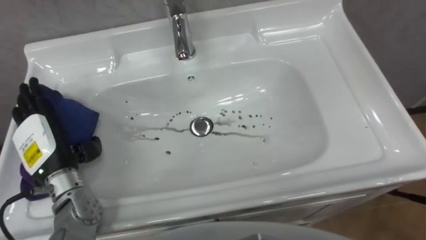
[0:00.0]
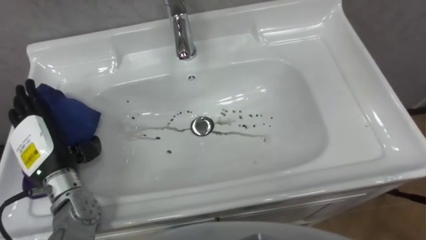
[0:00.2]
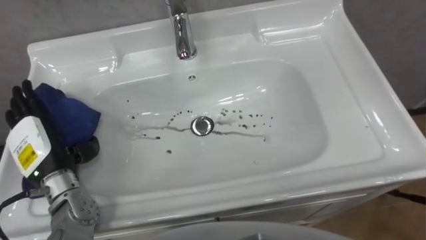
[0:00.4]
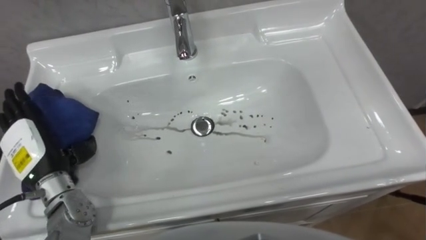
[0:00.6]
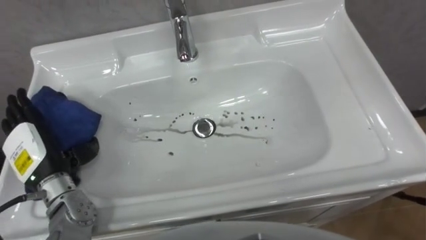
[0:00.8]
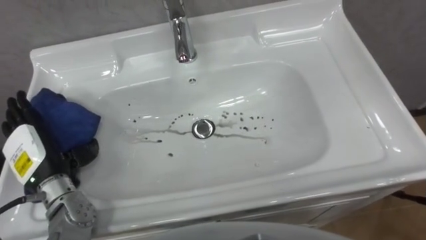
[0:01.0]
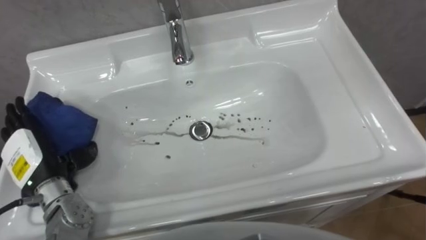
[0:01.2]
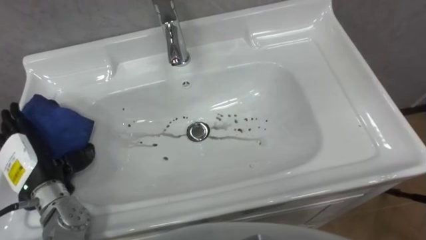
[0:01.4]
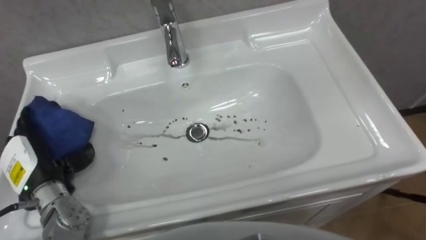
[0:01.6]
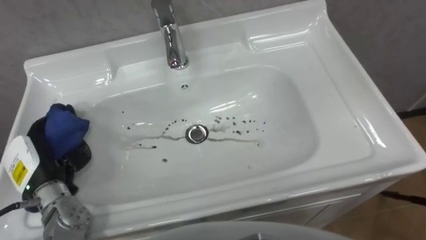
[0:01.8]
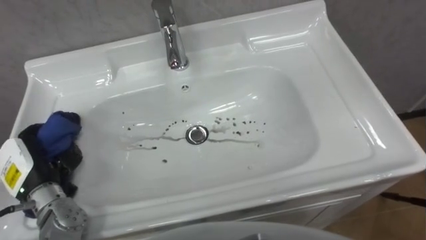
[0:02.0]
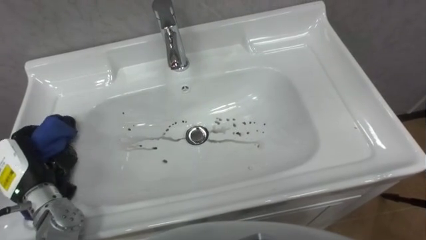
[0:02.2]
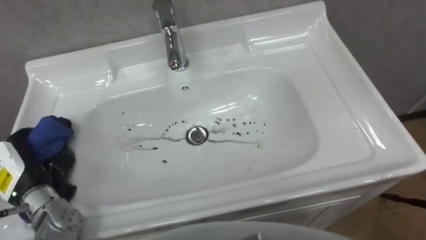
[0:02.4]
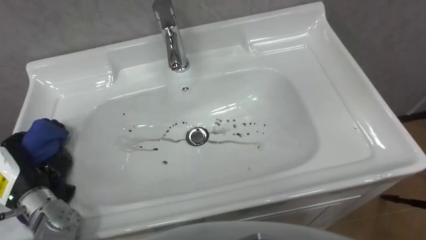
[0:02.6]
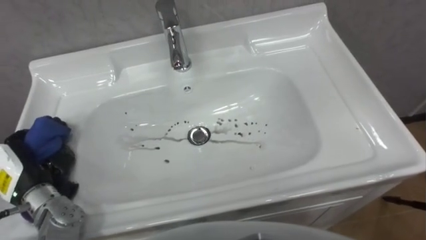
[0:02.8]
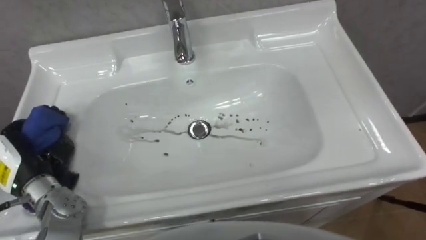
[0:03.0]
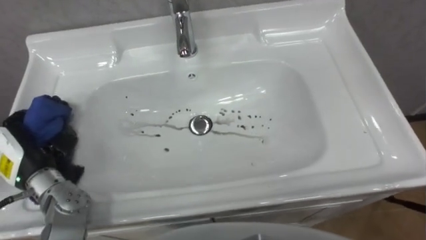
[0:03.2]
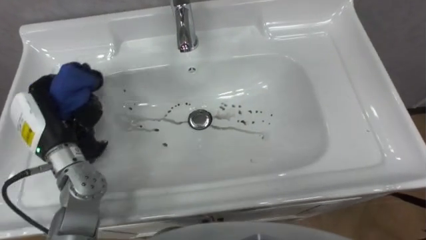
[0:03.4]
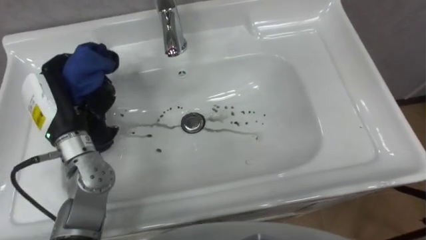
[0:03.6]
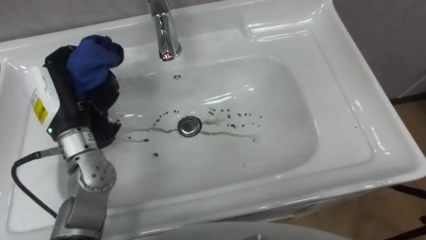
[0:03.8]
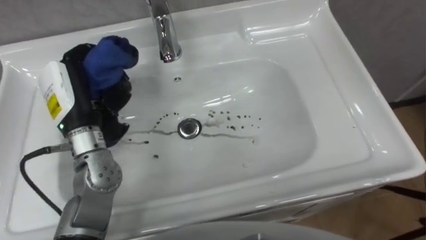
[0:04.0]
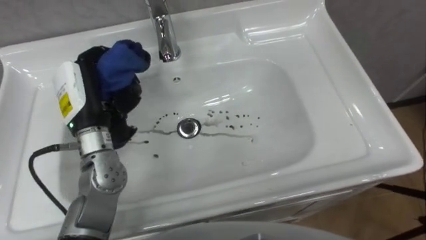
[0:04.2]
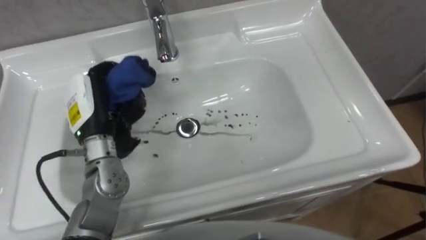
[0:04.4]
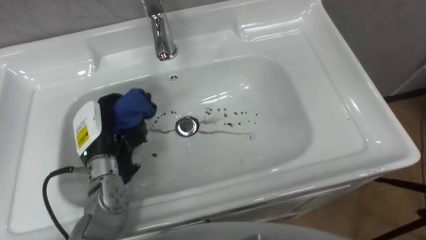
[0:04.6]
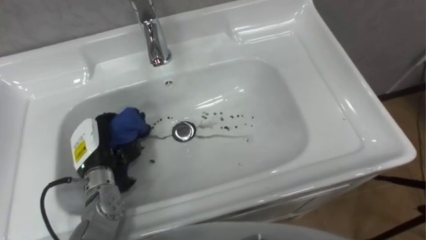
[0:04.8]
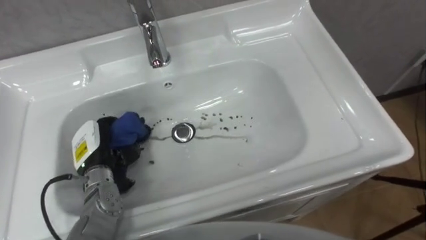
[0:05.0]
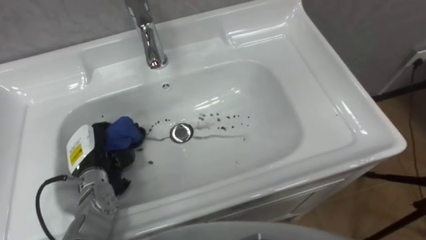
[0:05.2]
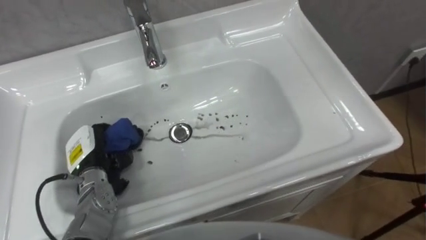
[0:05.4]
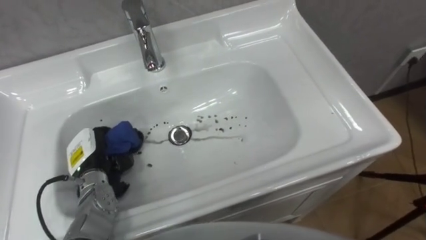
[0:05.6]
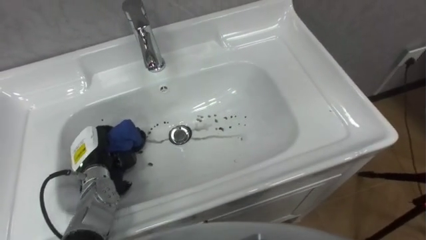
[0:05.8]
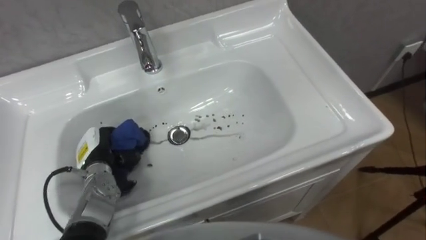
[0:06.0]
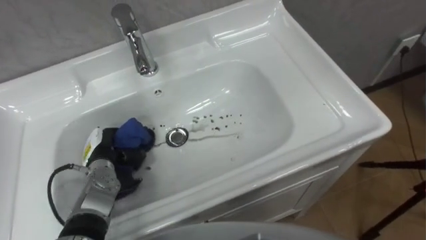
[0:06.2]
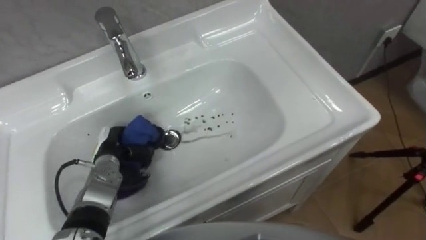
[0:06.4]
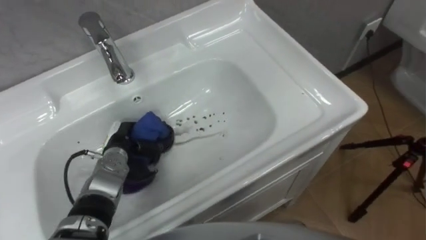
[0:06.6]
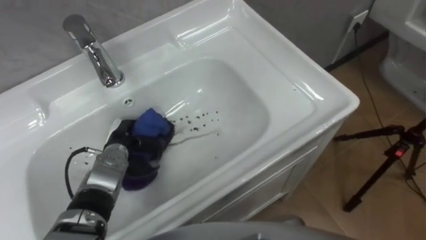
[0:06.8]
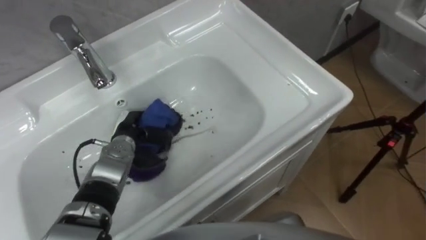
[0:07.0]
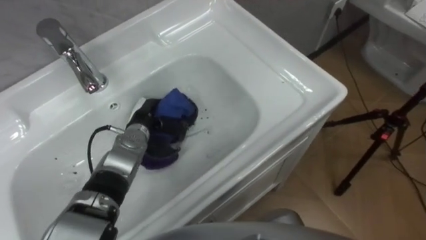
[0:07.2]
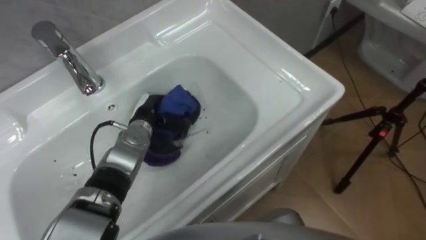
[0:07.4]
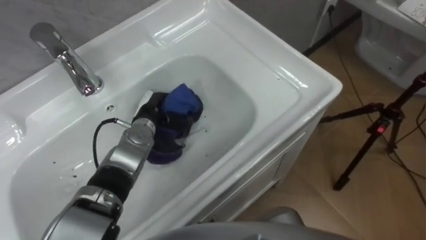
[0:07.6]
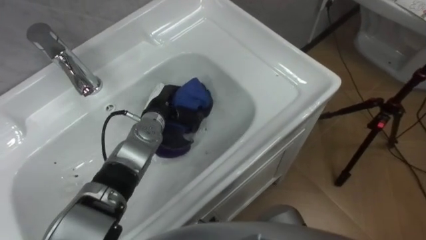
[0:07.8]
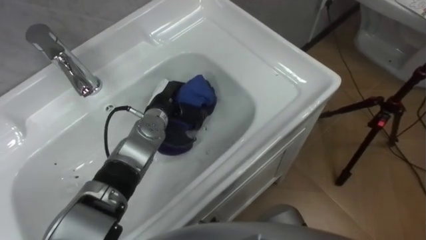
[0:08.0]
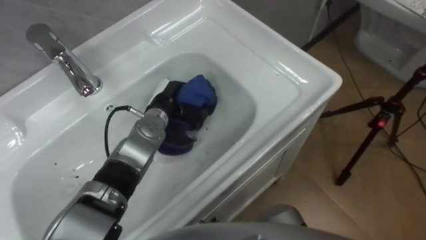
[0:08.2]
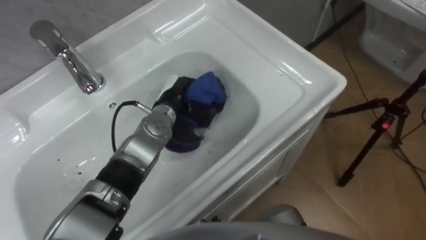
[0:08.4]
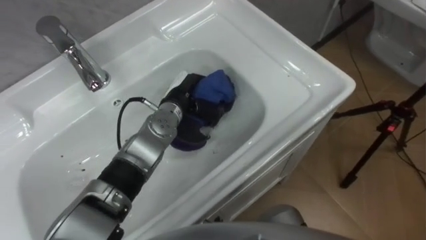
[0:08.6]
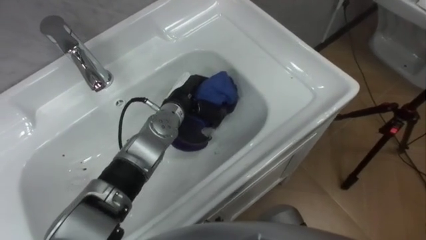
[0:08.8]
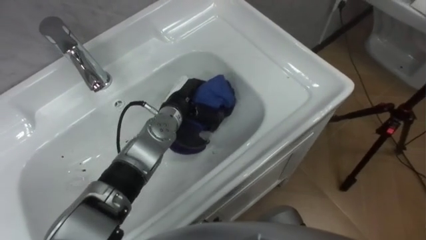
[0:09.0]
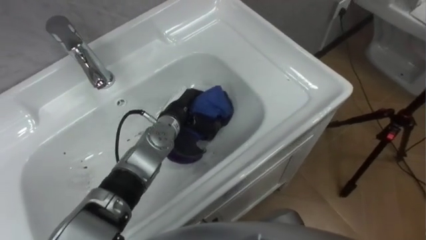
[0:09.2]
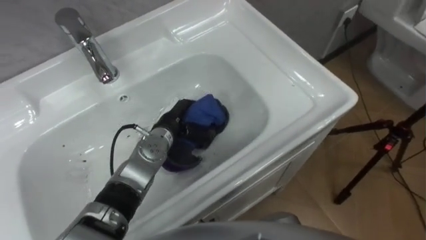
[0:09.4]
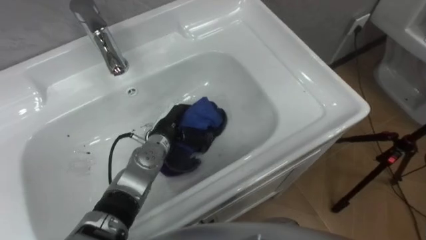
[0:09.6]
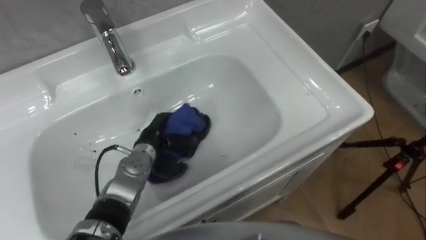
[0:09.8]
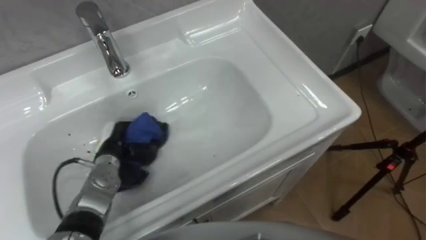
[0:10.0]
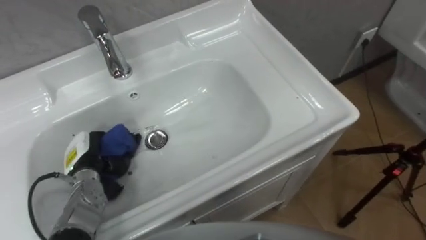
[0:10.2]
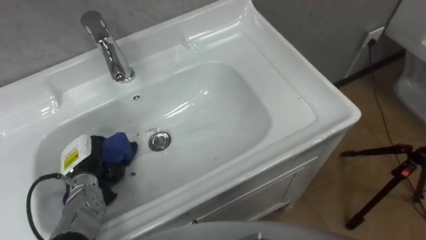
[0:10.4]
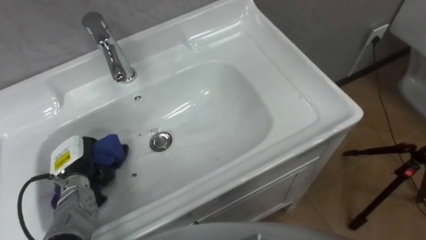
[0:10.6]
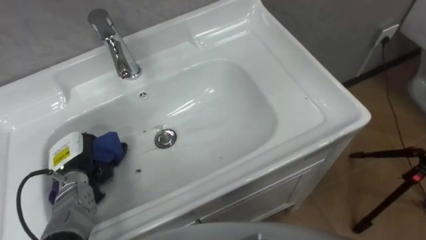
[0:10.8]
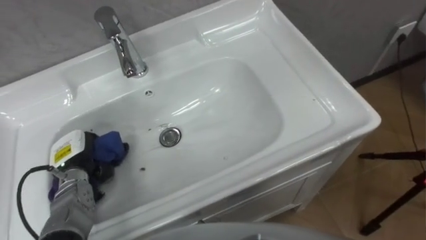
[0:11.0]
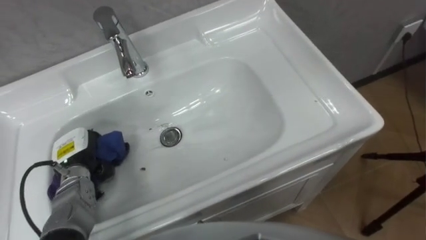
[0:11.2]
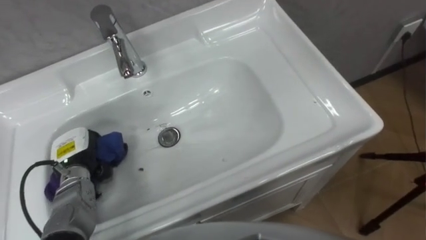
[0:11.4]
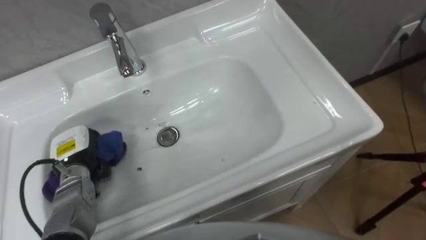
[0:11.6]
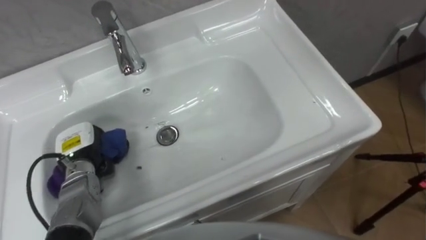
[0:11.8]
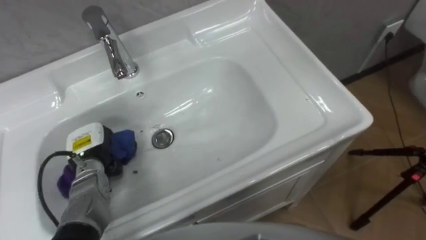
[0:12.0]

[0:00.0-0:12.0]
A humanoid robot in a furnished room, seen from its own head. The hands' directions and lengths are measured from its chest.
Task of the whole recording: Use the cloth on the right to wipe away the black stain in the sink.
0:00.0 to 0:01.6: The left hand moves roughly 5 cm.
0:01.6 to 0:03.0: The left hand closes.
0:03.0 to 0:04.4: The left hand goes roughly 15 cm to the right, forward and upward.
0:04.4 to 0:06.0: The left hand shifts approximately 15 cm downward.
0:06.0 to 0:07.6: The left hand goes roughly 15 cm to the right and forward.
0:07.6 to 0:09.0: The left hand moves to the right, approximately 5 cm.
0:09.0 to 0:10.4: The left hand goes roughly 25 cm to the left and backward.

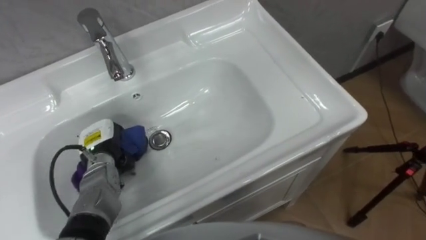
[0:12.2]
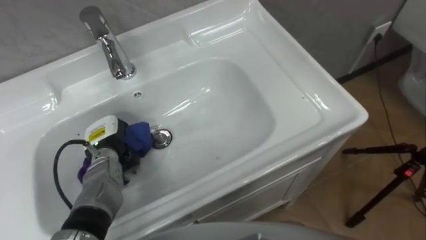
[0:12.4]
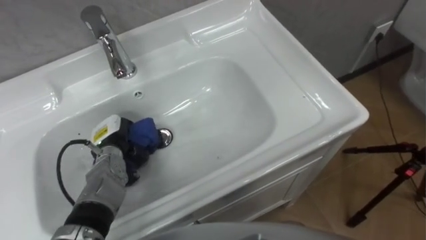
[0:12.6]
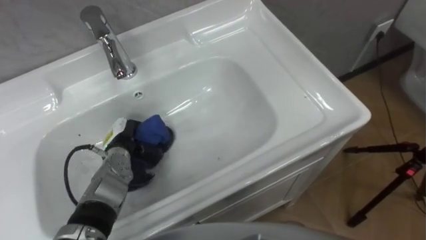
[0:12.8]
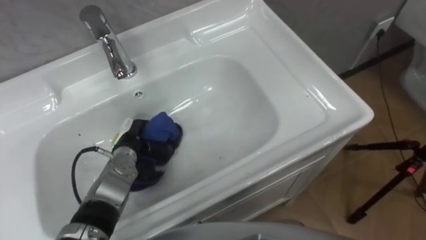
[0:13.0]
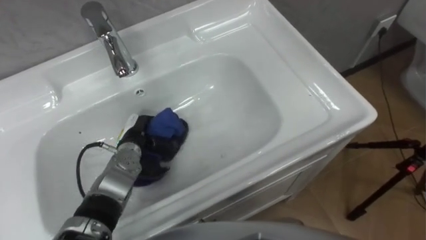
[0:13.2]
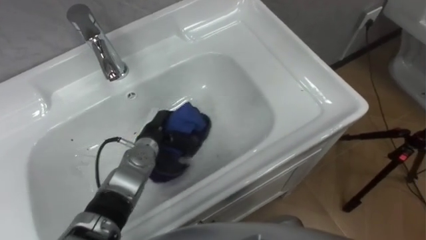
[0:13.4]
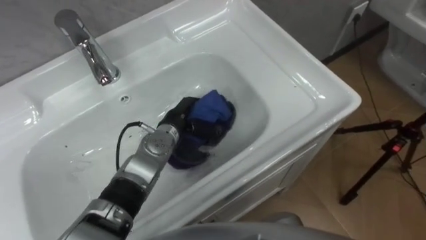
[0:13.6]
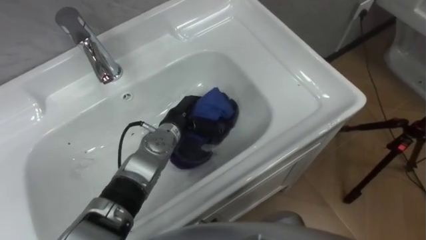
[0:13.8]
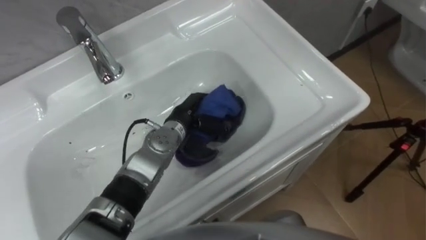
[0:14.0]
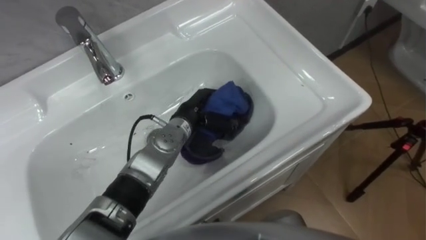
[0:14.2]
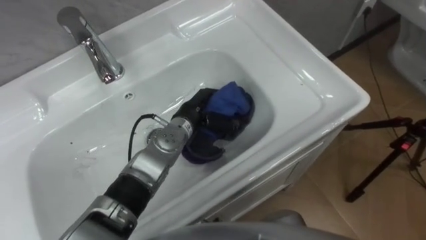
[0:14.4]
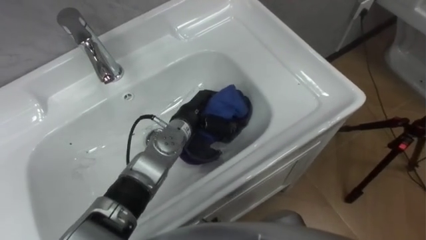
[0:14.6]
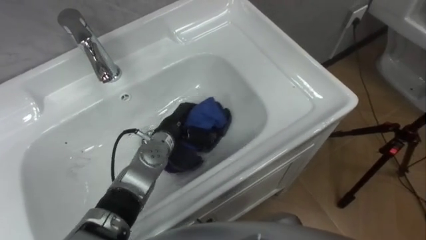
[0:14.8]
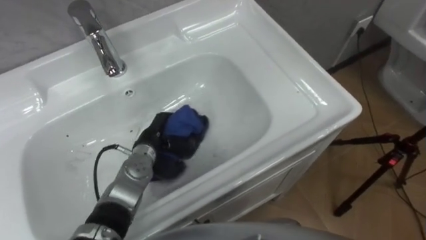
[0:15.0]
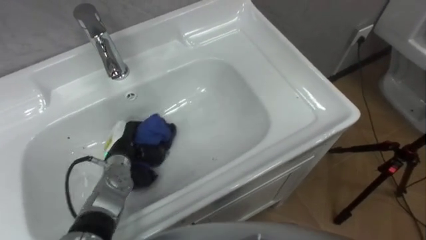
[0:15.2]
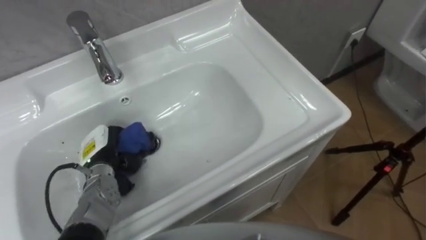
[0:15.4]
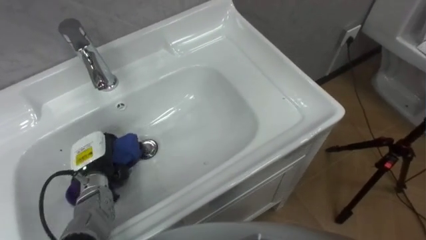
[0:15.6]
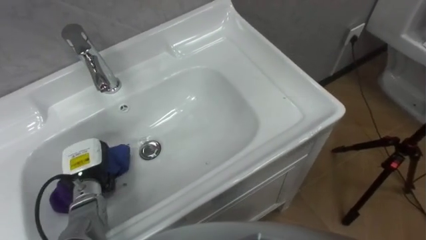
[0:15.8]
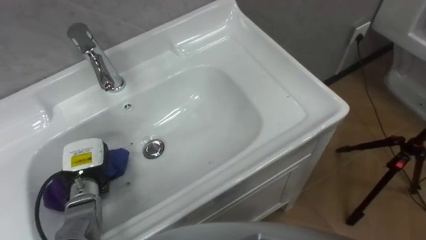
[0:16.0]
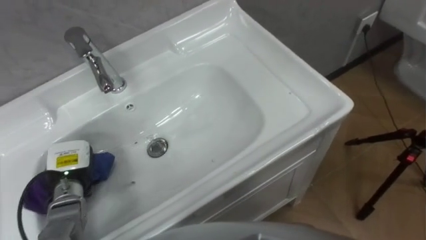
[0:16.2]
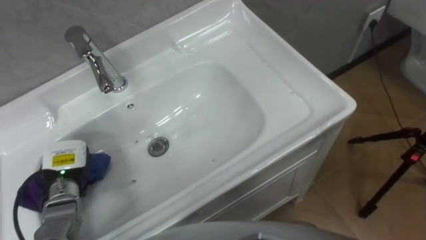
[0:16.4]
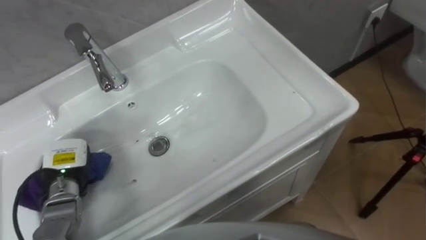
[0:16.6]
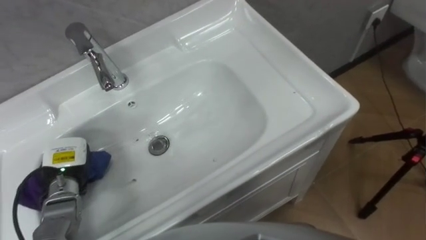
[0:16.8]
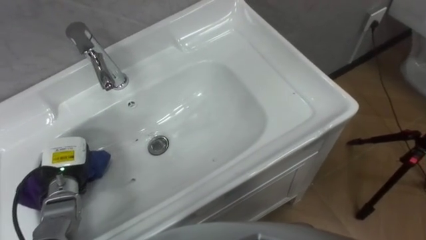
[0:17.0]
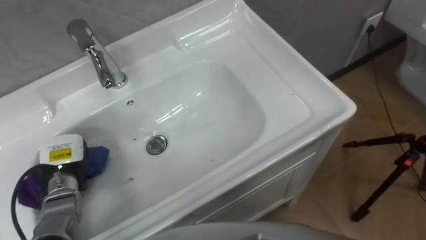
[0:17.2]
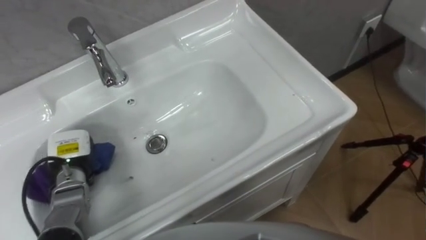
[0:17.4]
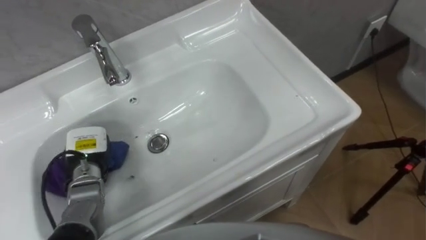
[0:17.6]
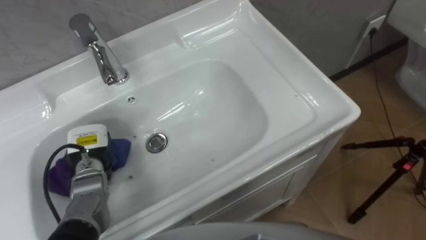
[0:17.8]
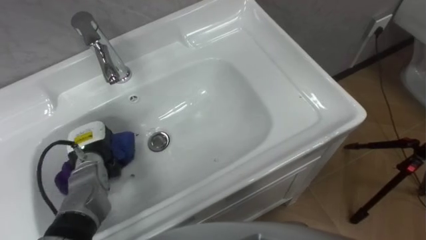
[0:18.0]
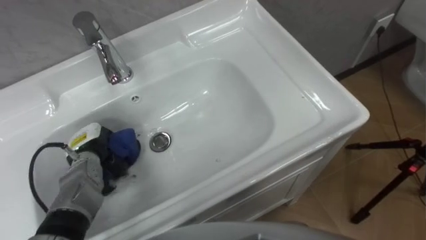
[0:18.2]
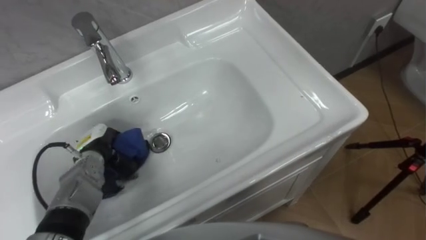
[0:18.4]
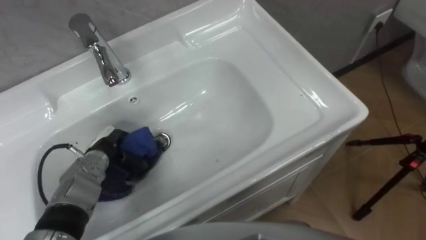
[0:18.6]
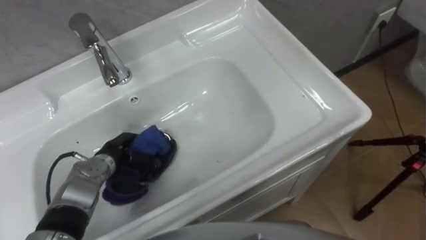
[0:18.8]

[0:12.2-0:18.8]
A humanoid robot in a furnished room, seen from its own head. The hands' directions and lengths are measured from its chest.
Task of the whole recording: Use the cloth on the right to wipe away the black stain in the sink.
0:12.2 to 0:13.8: The left hand moves to the right, roughly 20 cm.
0:13.8 to 0:15.4: The left hand is displaced to the left and backward by about 20 cm.
0:15.4 to 0:17.2: The left hand heads to the left, covering some 5 cm.
0:17.2 to 0:18.8: The left hand shifts about 10 cm to the right.
